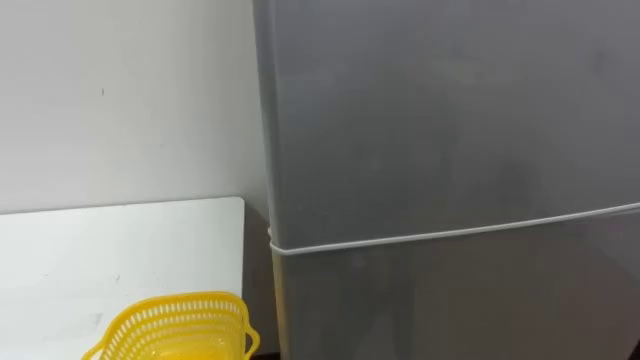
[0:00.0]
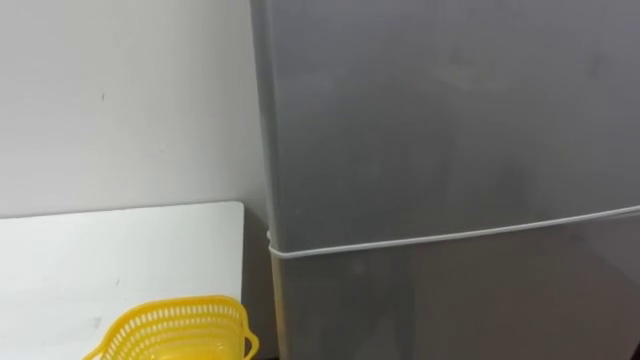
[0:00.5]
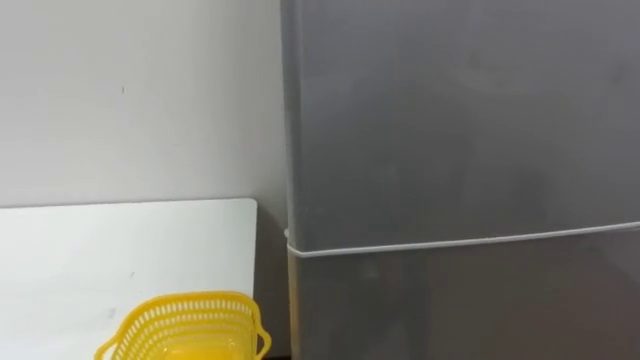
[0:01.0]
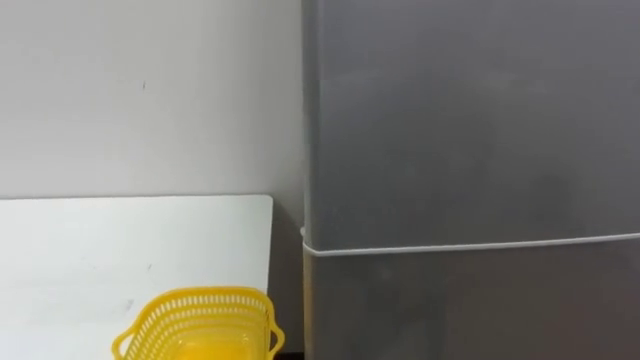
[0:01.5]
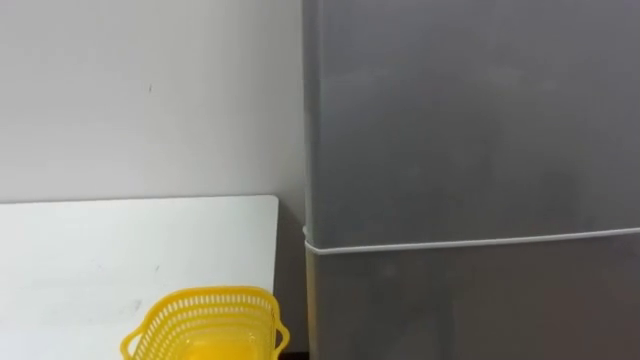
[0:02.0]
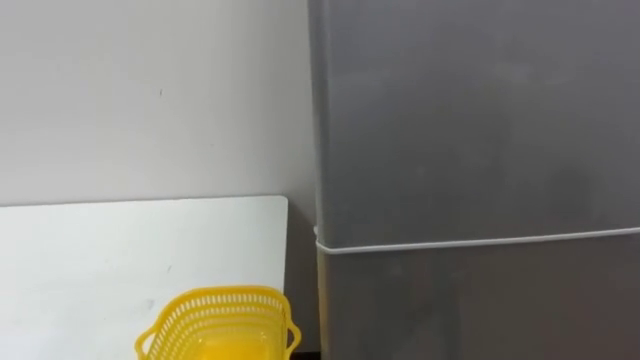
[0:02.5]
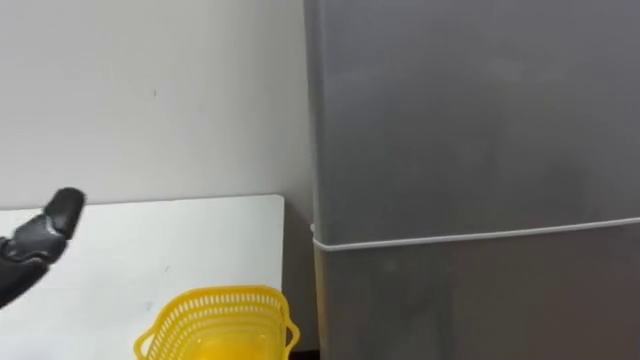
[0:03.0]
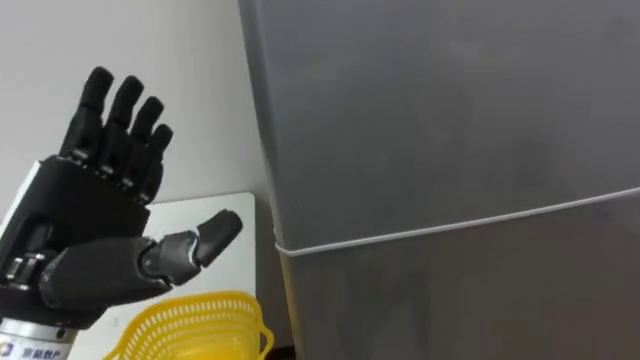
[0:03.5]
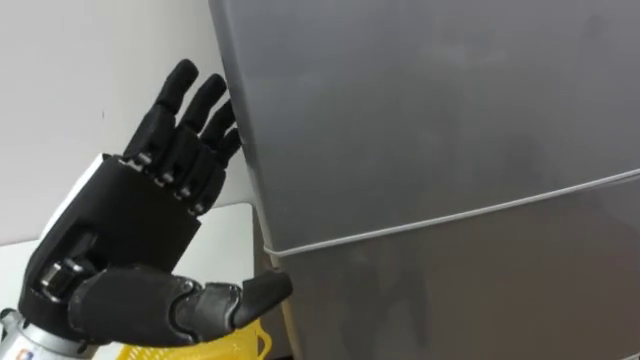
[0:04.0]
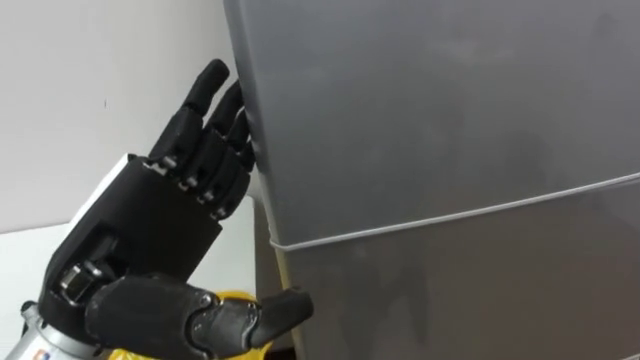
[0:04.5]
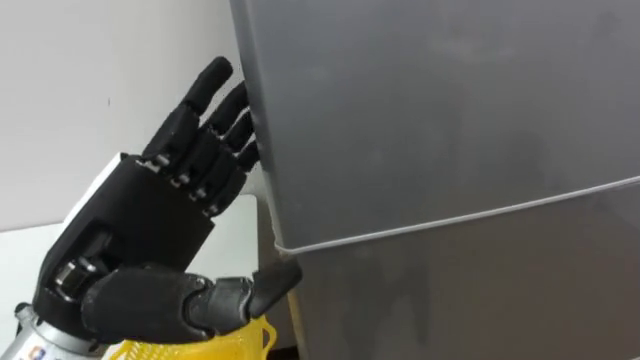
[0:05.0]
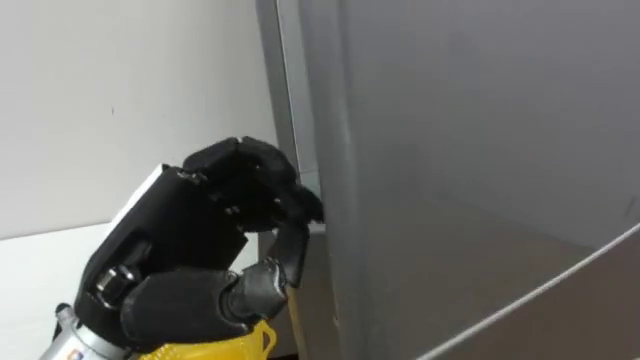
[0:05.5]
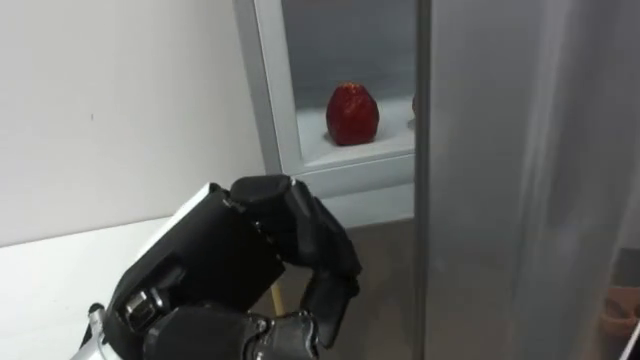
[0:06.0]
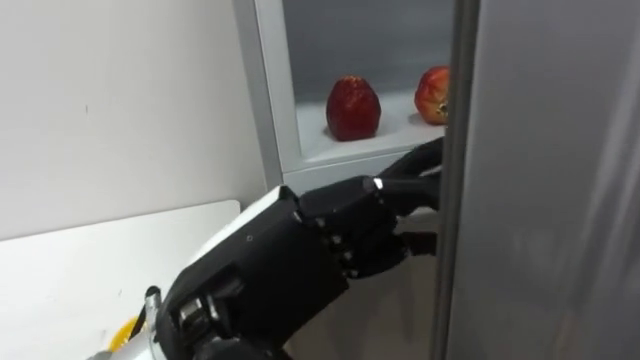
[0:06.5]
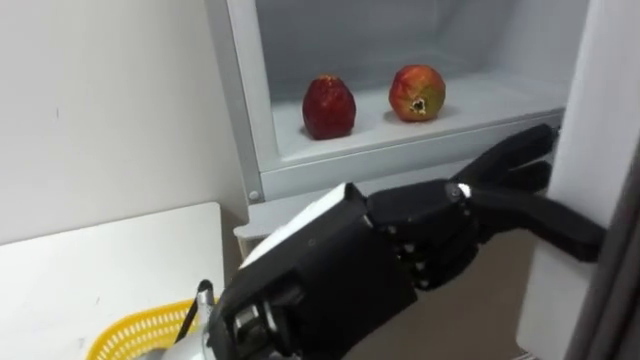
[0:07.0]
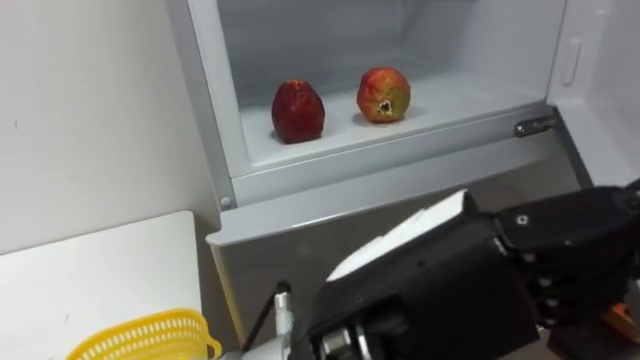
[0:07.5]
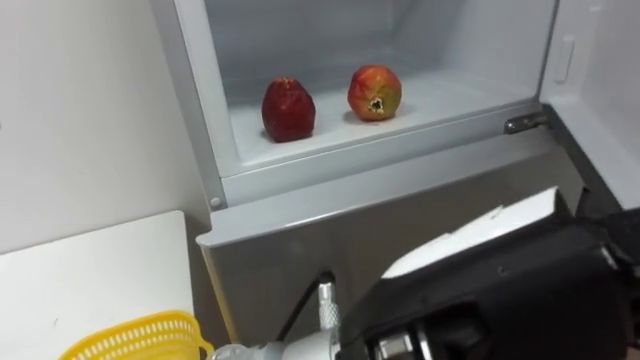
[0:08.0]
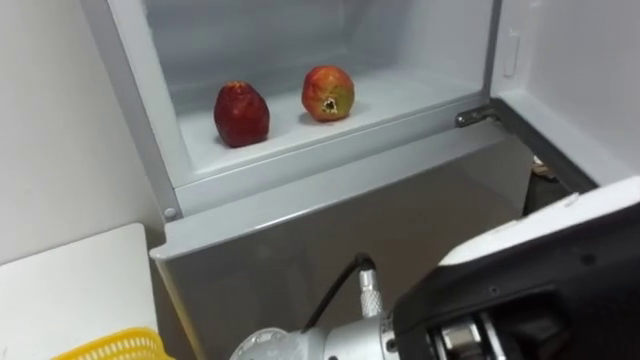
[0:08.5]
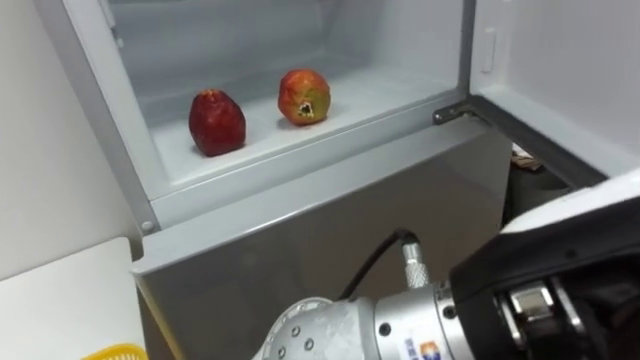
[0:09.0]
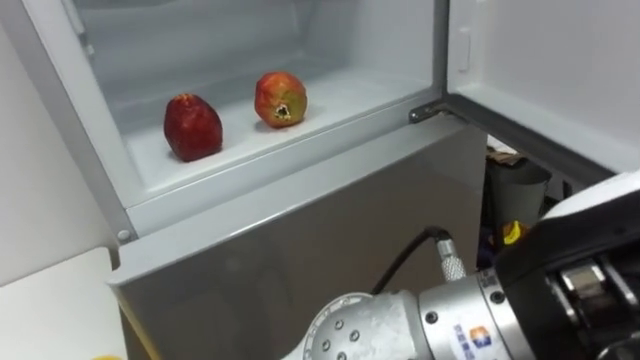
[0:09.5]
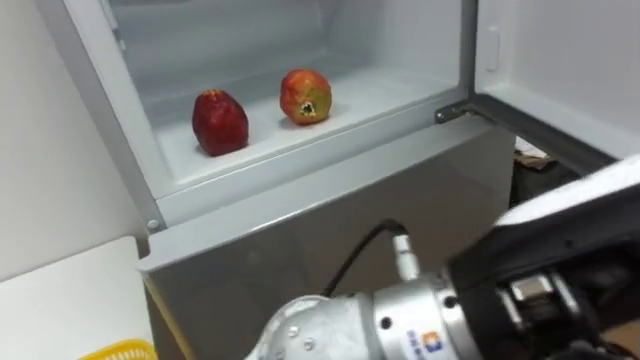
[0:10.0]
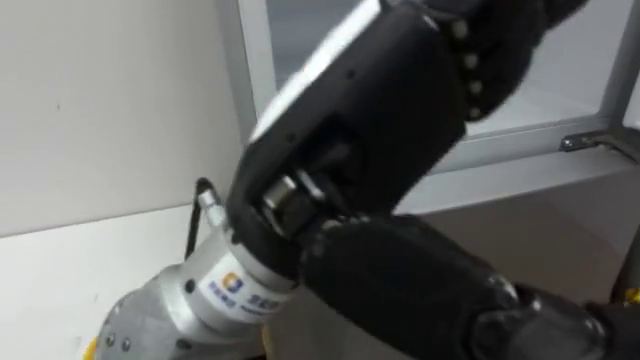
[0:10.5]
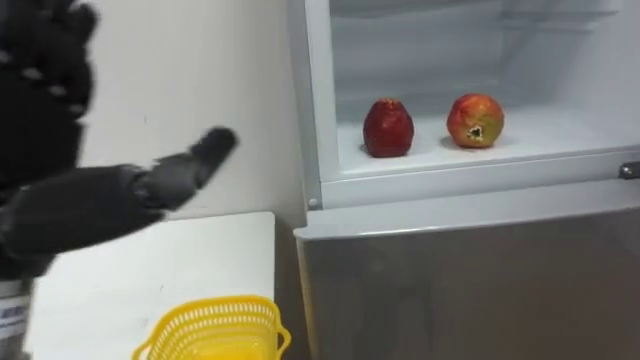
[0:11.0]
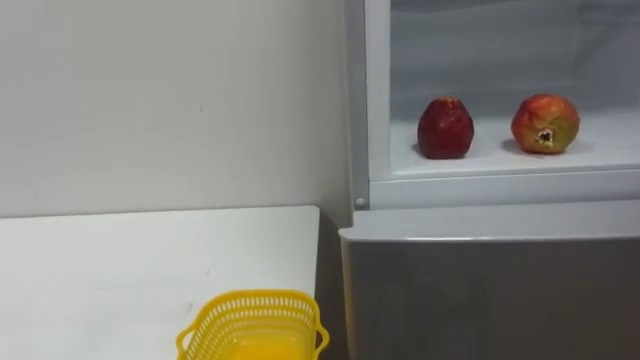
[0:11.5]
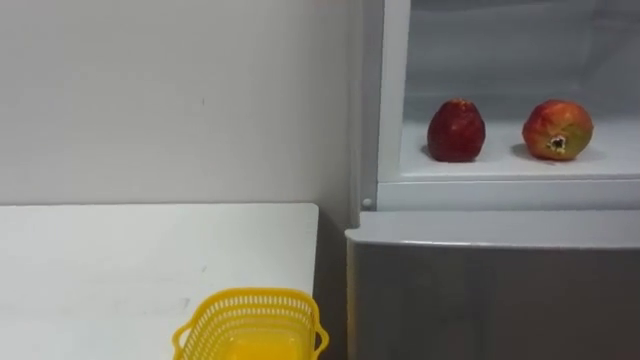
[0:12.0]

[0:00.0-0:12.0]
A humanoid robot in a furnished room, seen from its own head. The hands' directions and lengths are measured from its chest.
Task of the whole recording: Open the refrigerator door, take out the apple and the pomegranate, place them in the fruit basket on the left, and close the refrigerator door.
0:04.0 to 0:06.0: The left hand travels to the right by approximately 5 cm, and closes its fingers.
0:06.0 to 0:08.0: The left hand heads to the right and backward, covering about 15 cm, and opens up.
0:08.0 to 0:10.0: The left hand moves to the right, roughly 5 cm.

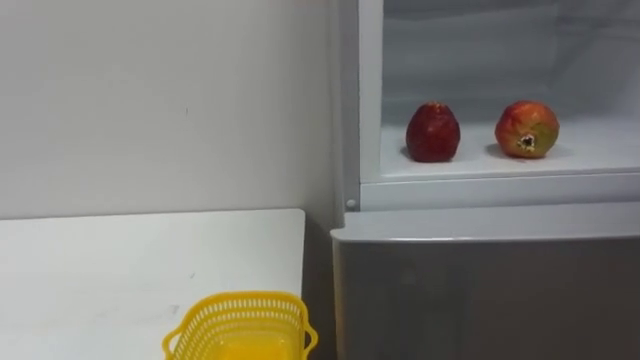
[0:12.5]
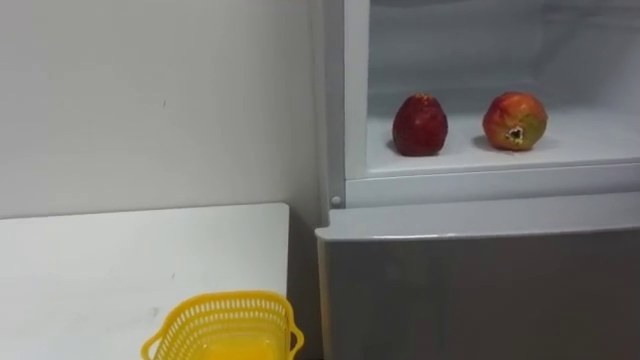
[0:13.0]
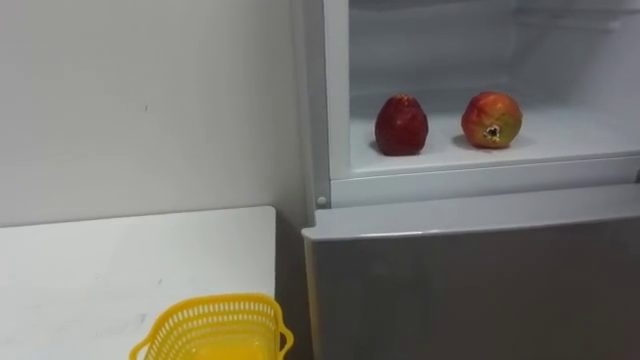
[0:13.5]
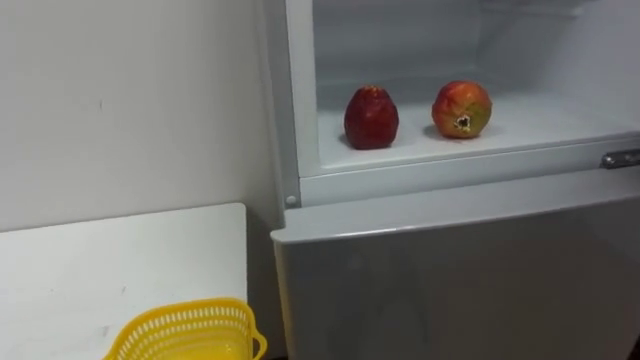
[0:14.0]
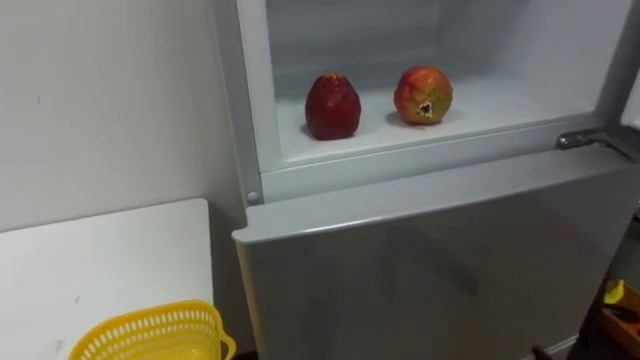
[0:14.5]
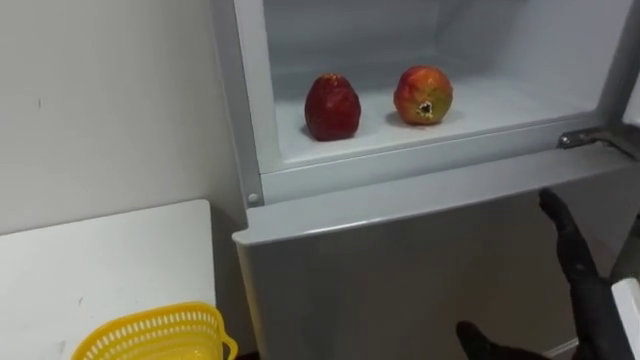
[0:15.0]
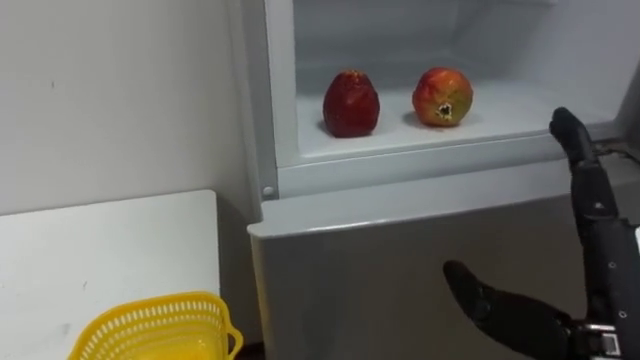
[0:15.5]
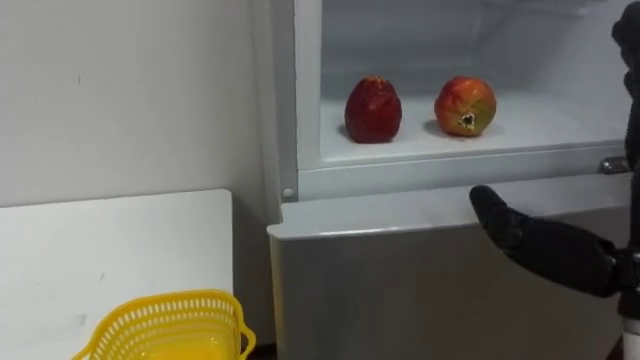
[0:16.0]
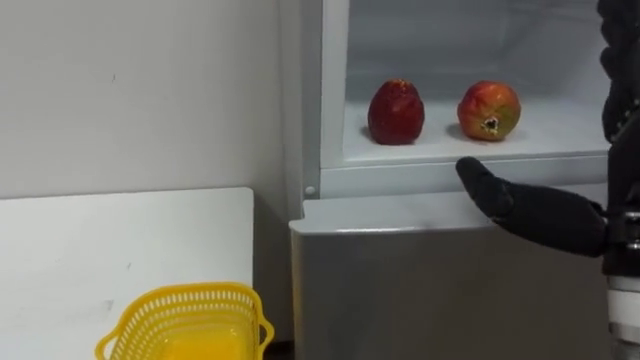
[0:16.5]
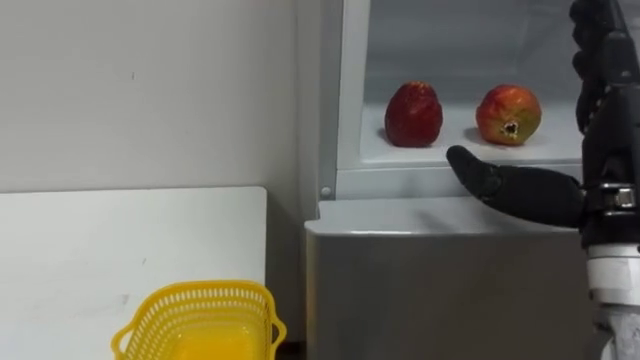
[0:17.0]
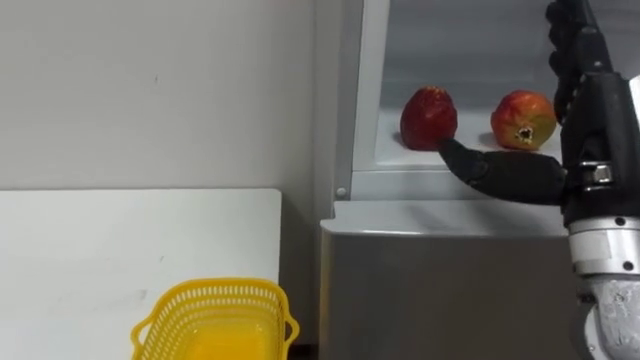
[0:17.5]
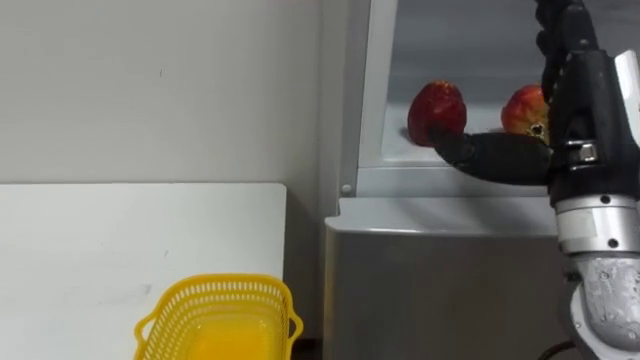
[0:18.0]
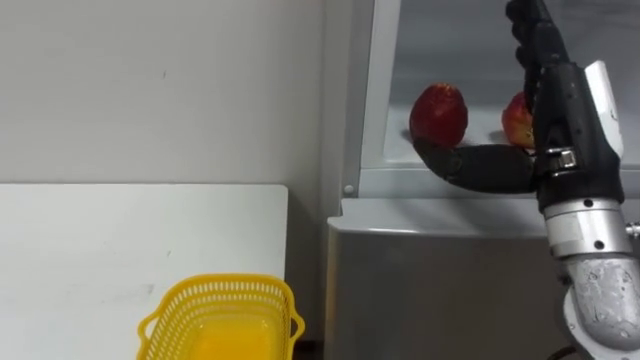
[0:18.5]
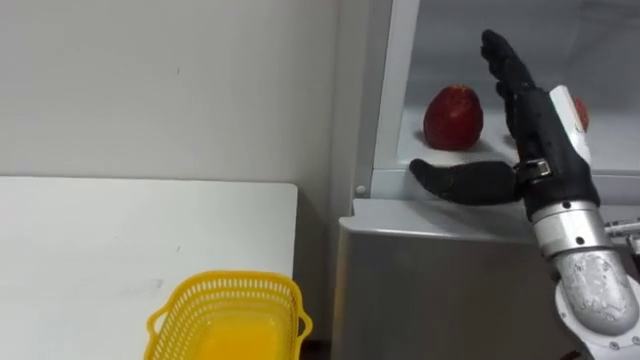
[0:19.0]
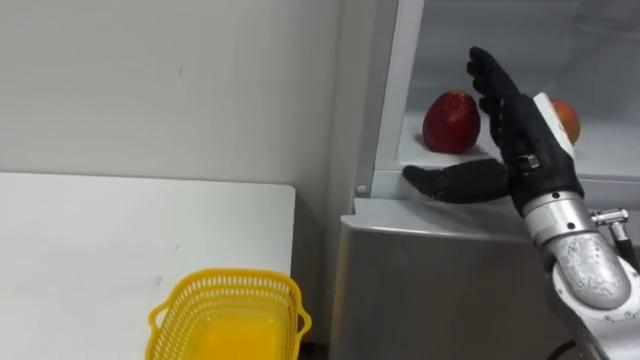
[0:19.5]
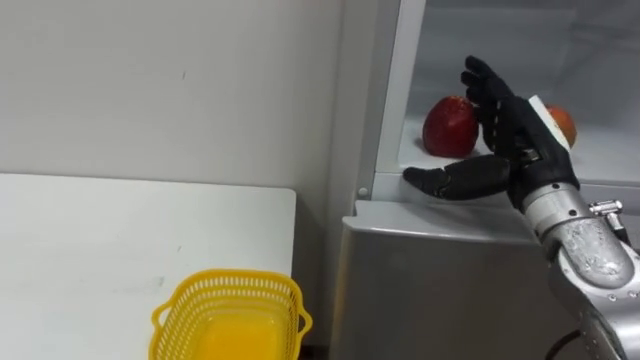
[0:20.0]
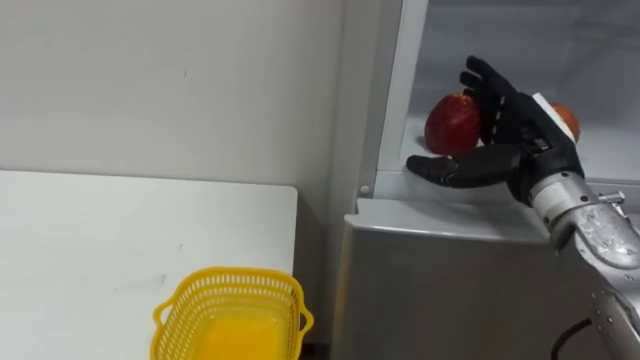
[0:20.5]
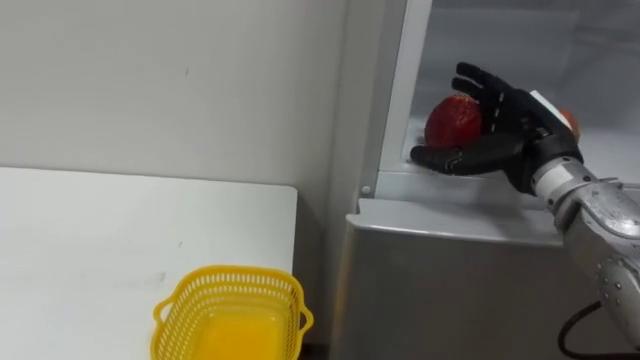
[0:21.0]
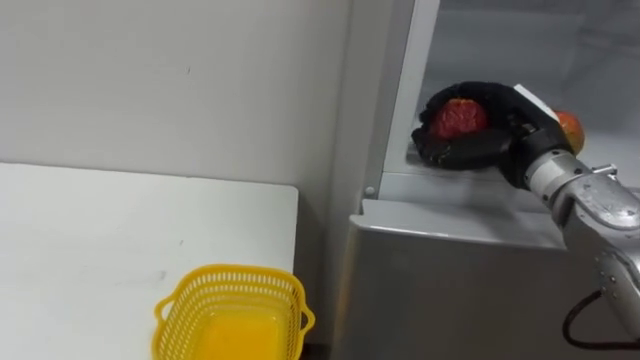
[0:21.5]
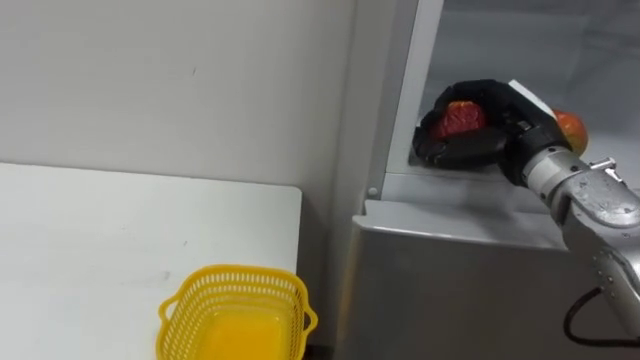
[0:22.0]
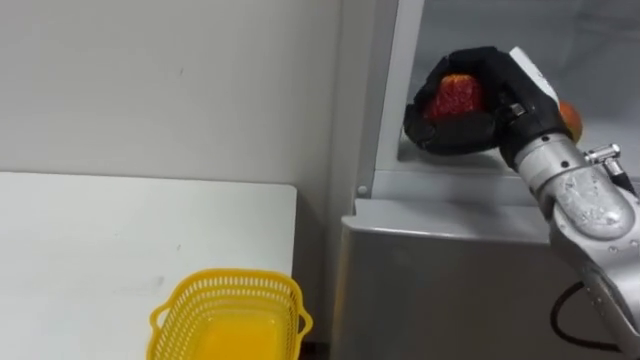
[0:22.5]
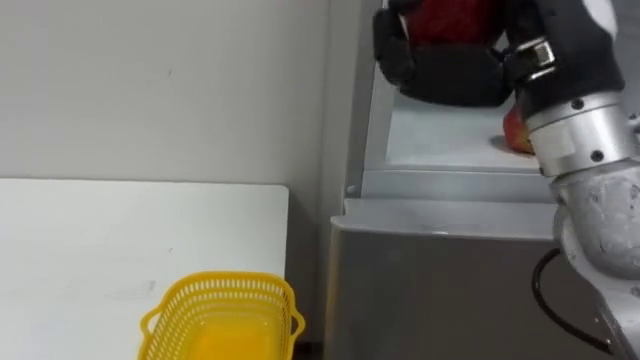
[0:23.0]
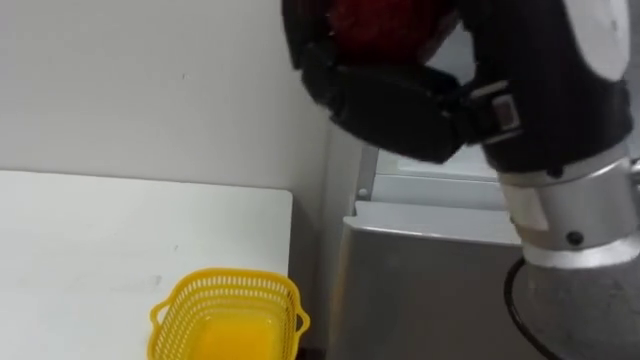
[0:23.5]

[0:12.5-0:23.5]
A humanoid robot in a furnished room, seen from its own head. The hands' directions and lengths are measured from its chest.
Task of the whole recording: Open the refrigerator door, take out the apple and the pomegranate, place them in the fruit basket on the left, and close the refrigerator door.
0:18.0 to 0:20.0: The right hand travels forward and downward by approximately 10 cm.
0:20.0 to 0:21.5: The right hand closes its fingers.
0:21.5 to 0:23.5: The right hand goes some 30 cm backward, upward and to the left.
